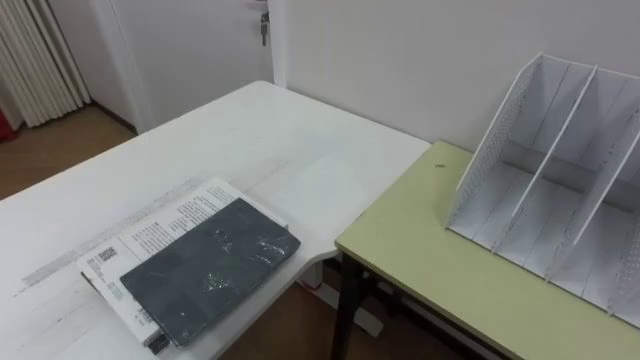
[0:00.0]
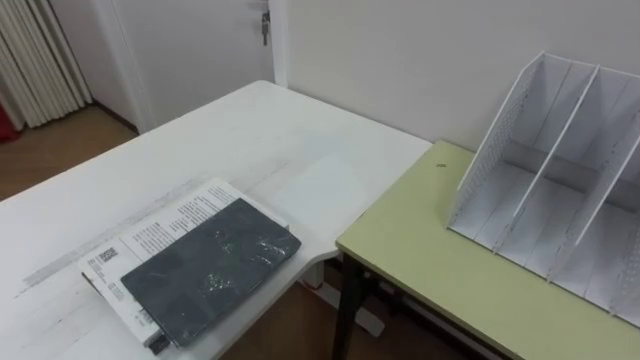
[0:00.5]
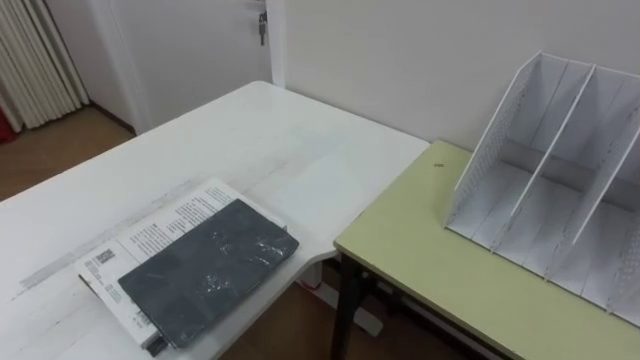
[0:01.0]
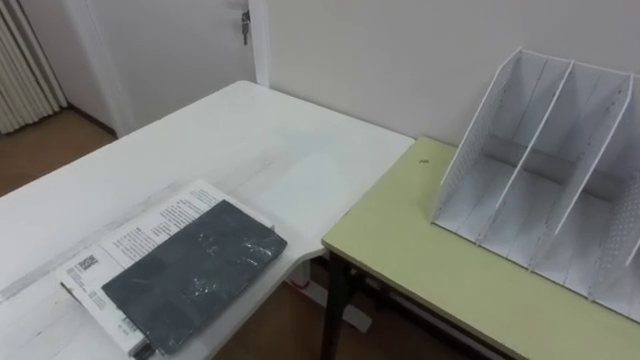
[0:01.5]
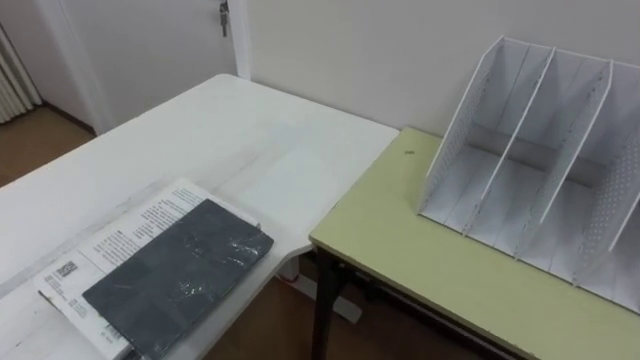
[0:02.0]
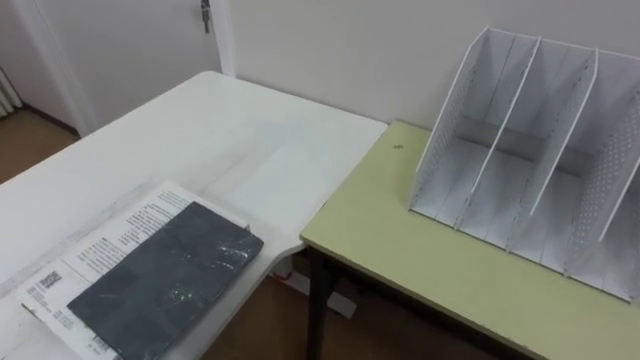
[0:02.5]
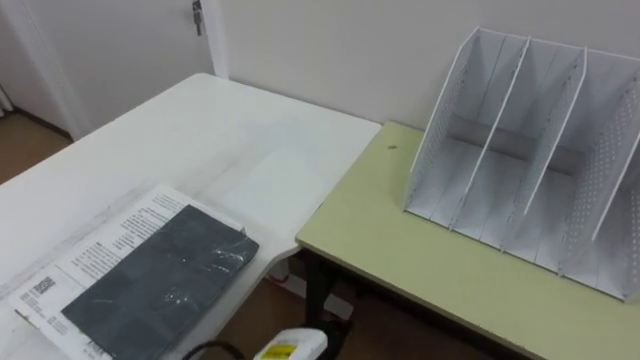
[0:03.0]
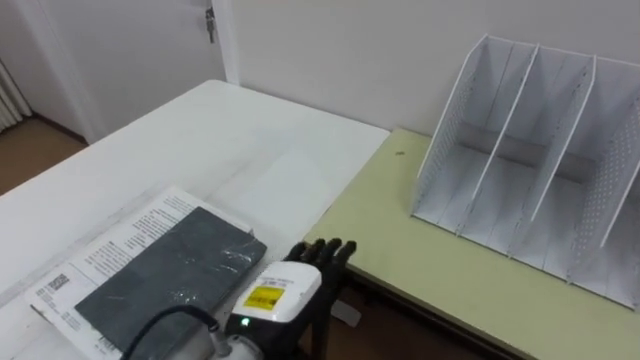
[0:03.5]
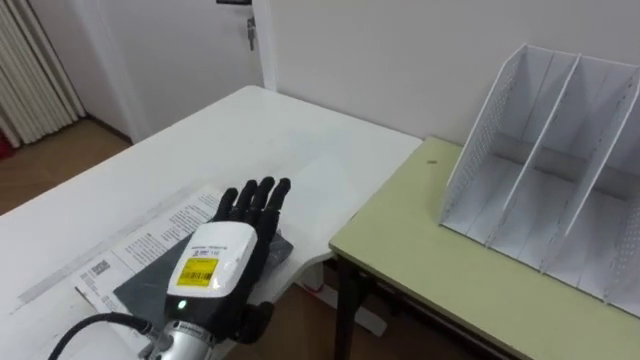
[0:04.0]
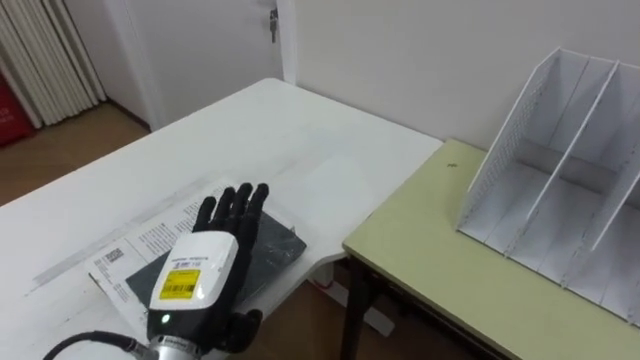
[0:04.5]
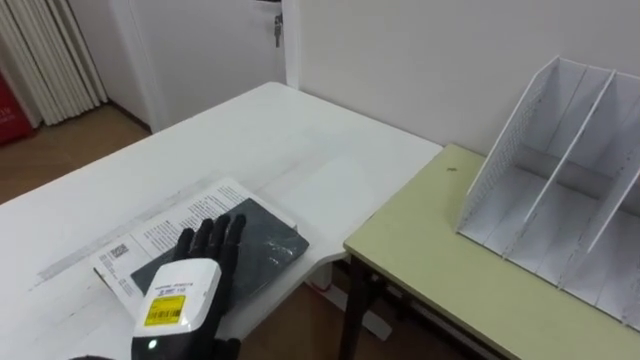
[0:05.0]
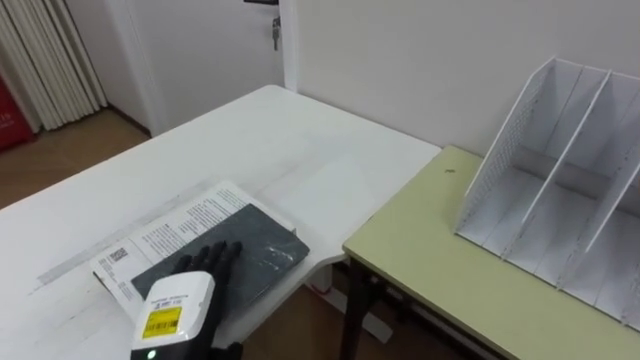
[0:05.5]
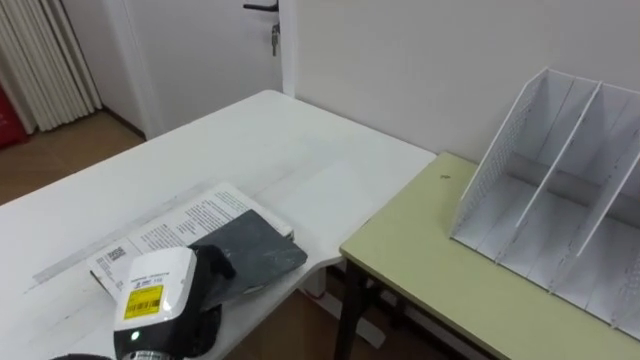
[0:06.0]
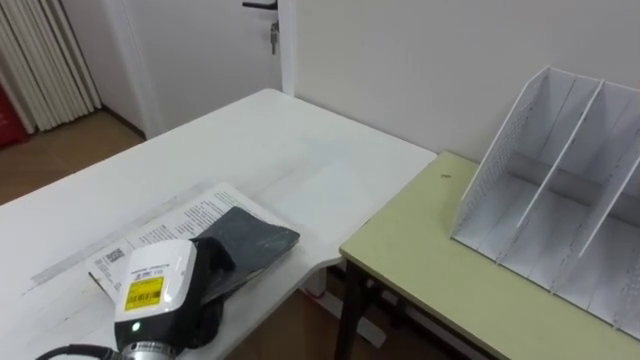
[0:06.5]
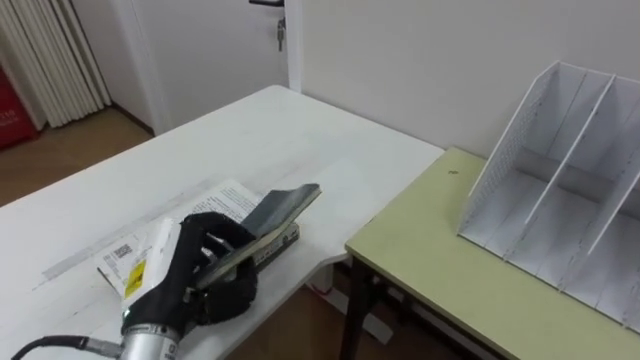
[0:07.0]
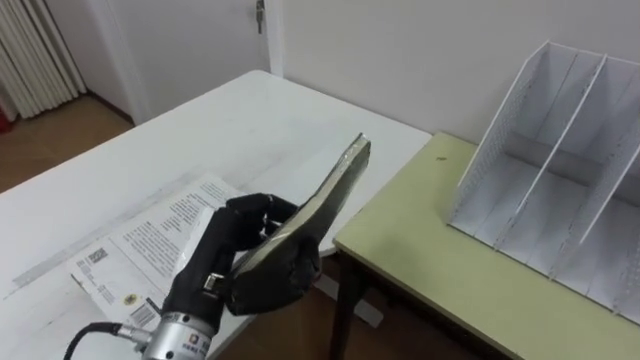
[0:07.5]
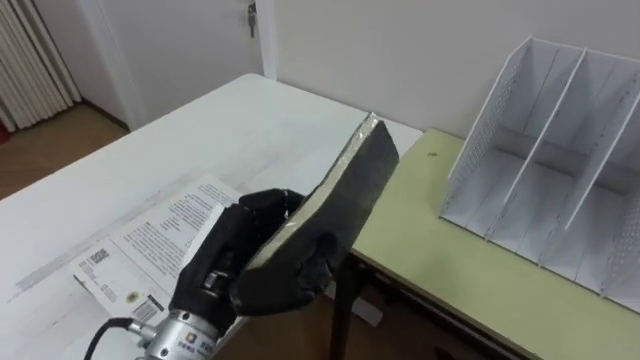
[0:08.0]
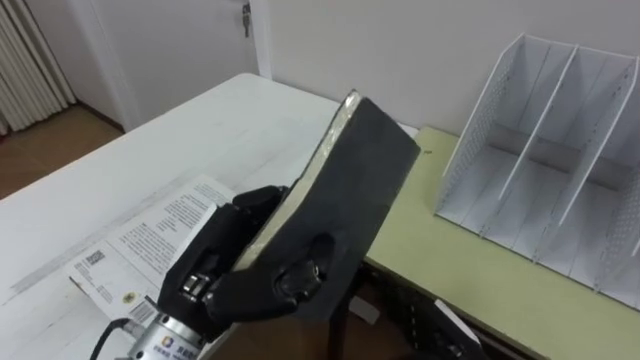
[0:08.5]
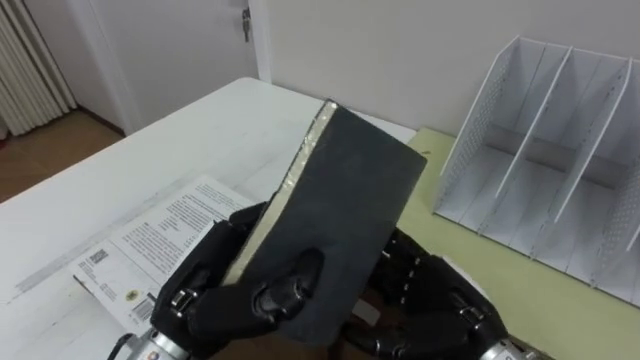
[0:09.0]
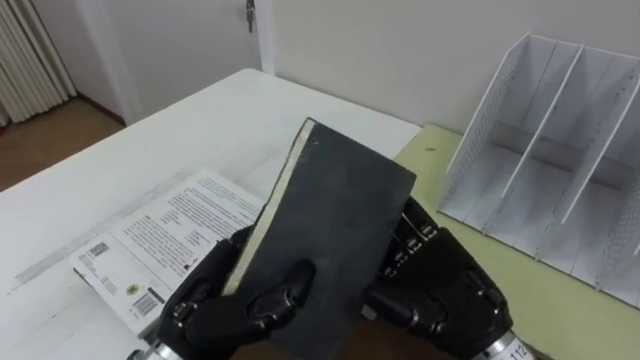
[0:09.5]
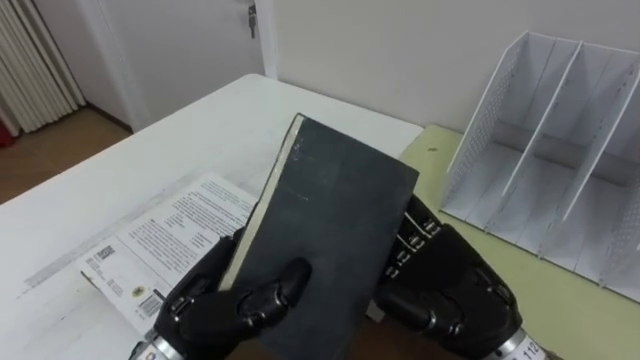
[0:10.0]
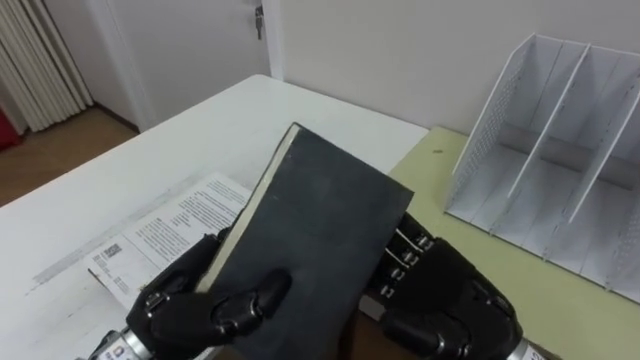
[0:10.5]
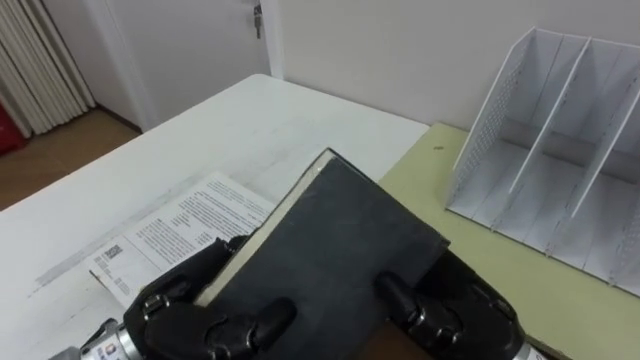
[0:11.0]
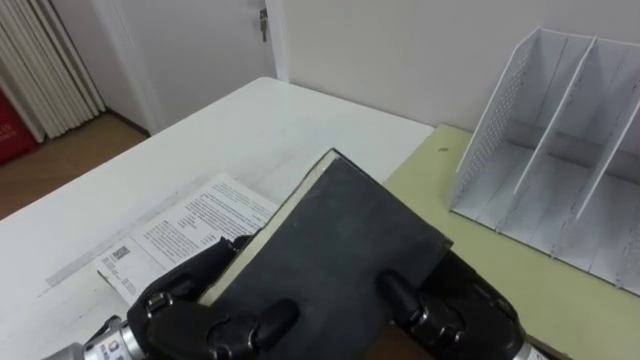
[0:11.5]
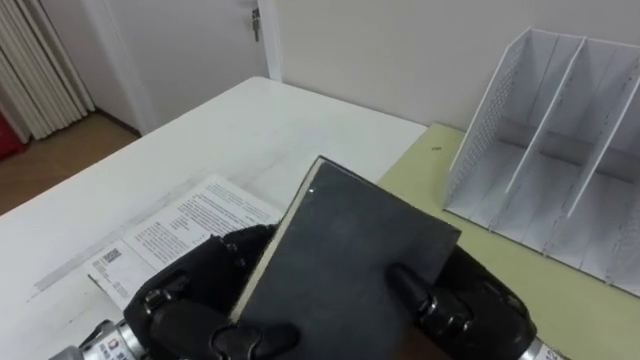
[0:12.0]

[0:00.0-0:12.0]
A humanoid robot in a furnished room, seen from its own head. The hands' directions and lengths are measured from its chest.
Task of the whole recording: Put the books on the table onto the bookshelf.
0:04.0 to 0:06.0: The left hand travels to the left by about 5 cm, and closes up.
0:06.0 to 0:08.0: The left hand shifts about 10 cm to the right and upward.
0:10.0 to 0:12.0: The right hand closes.

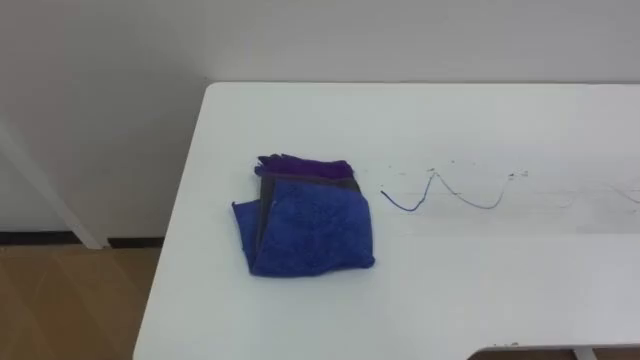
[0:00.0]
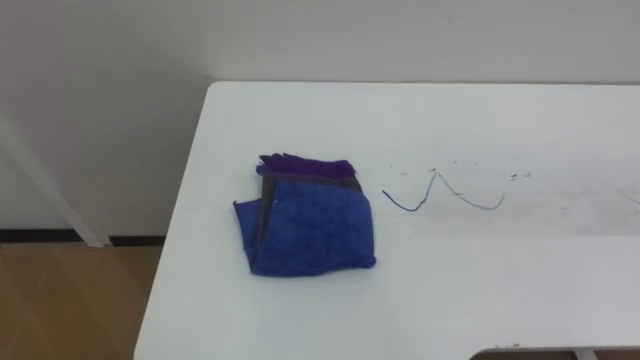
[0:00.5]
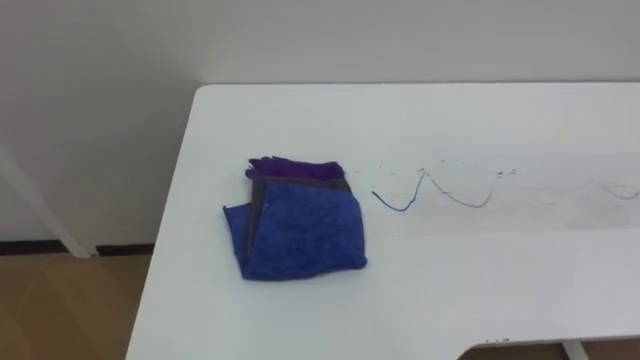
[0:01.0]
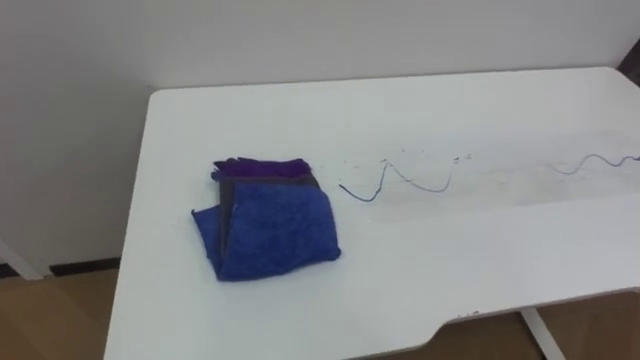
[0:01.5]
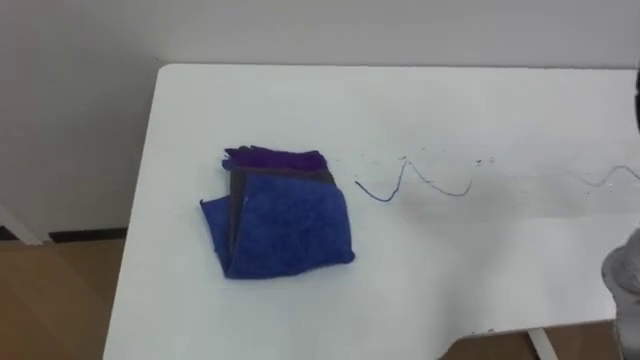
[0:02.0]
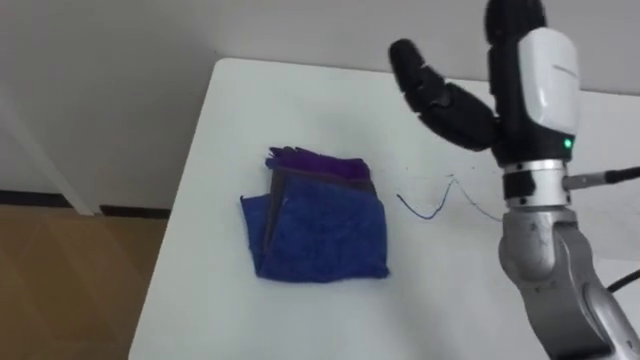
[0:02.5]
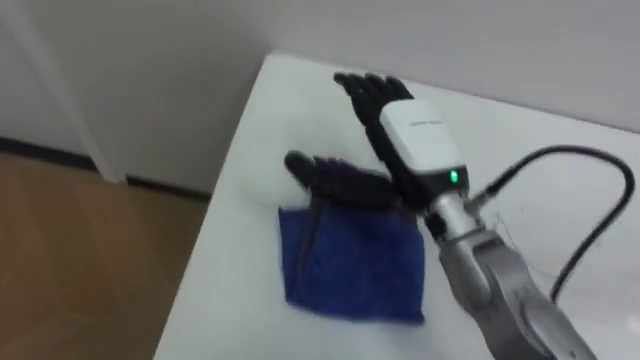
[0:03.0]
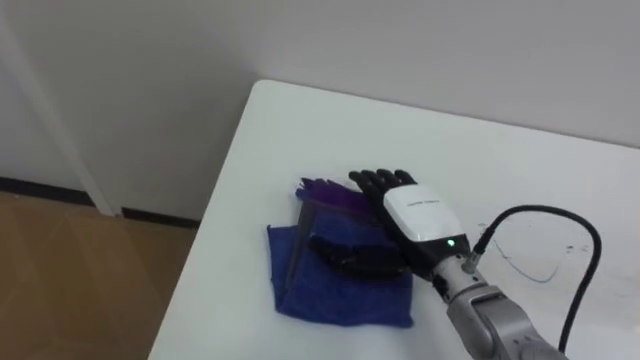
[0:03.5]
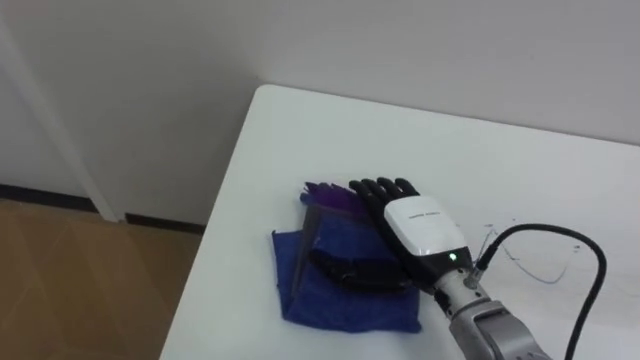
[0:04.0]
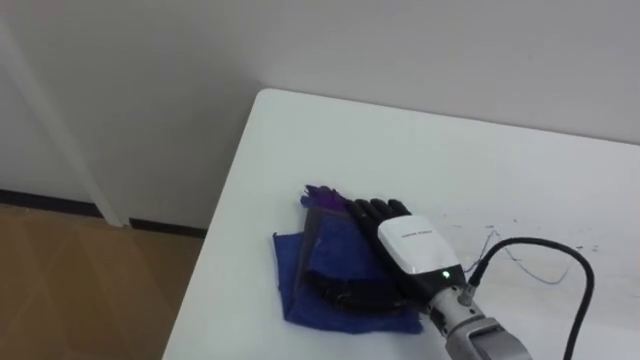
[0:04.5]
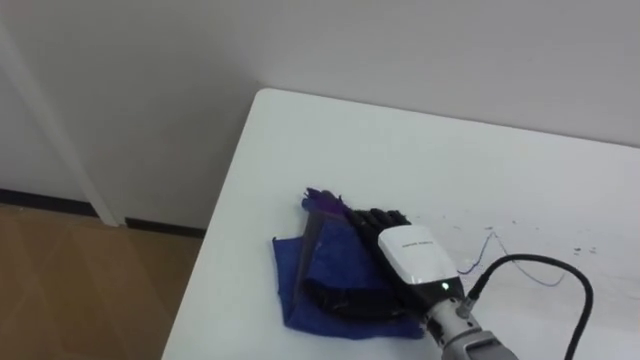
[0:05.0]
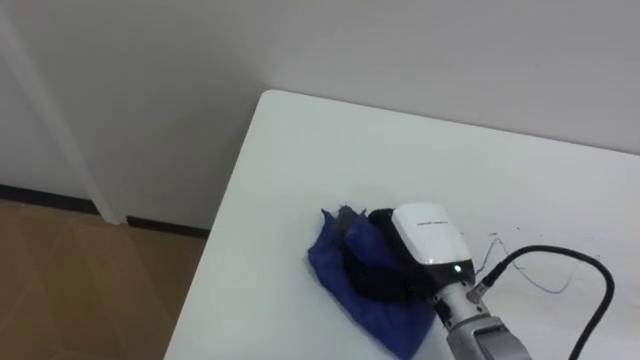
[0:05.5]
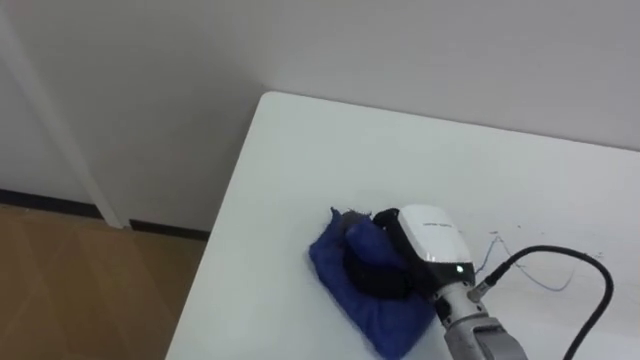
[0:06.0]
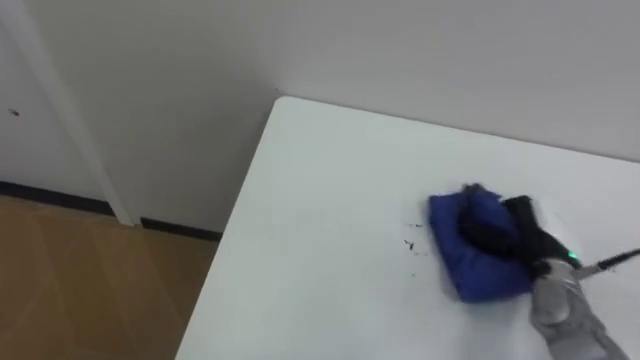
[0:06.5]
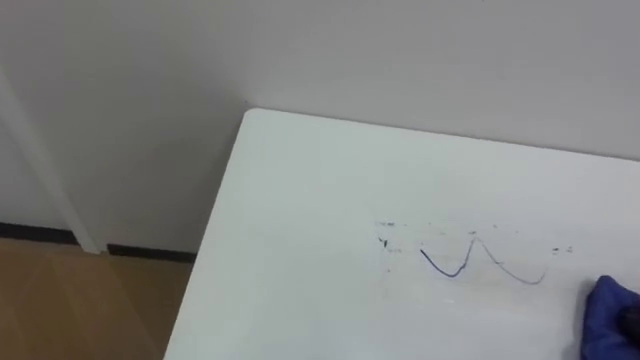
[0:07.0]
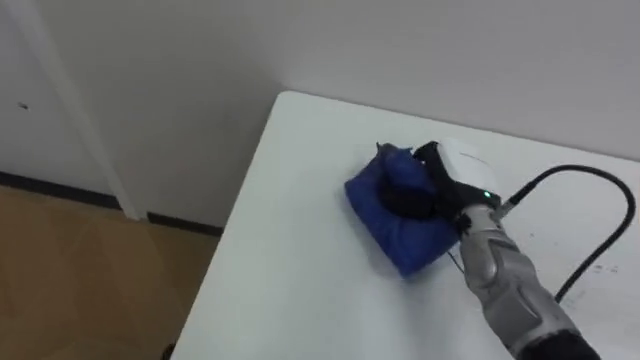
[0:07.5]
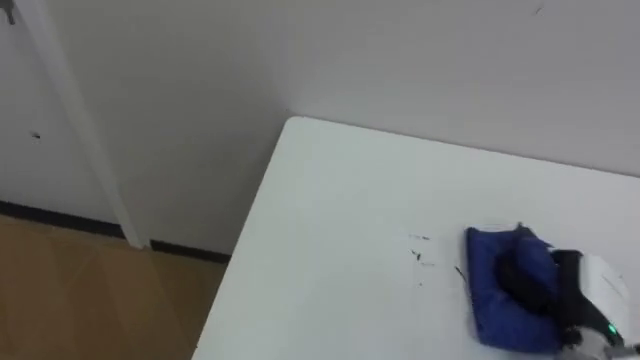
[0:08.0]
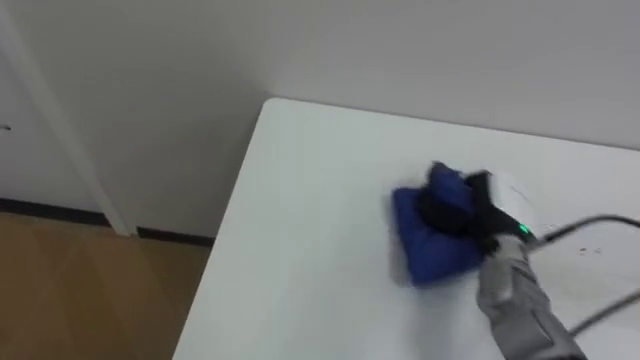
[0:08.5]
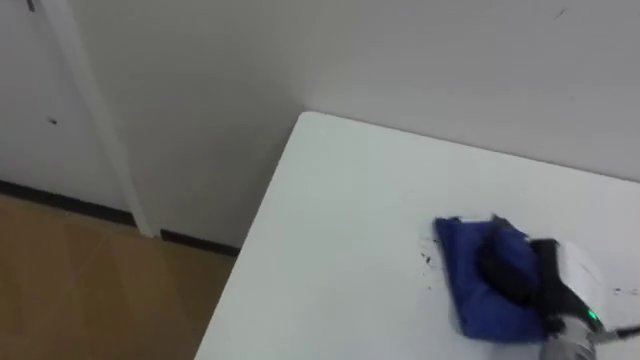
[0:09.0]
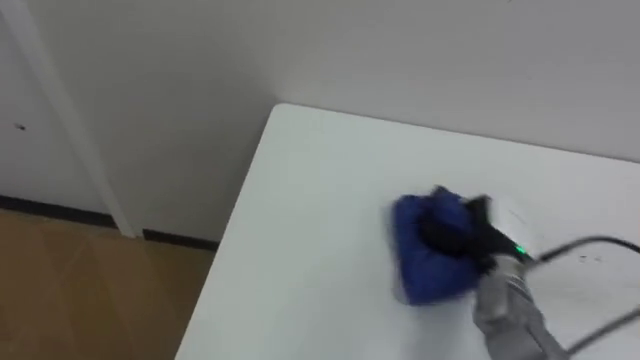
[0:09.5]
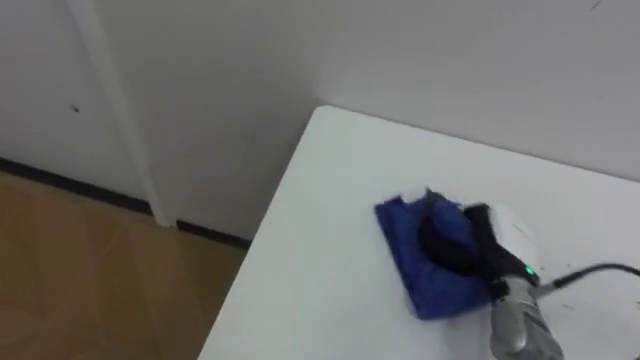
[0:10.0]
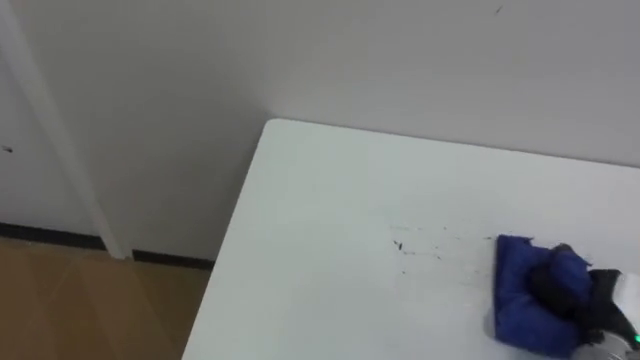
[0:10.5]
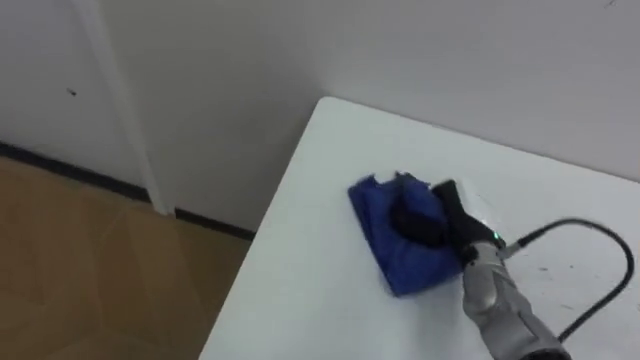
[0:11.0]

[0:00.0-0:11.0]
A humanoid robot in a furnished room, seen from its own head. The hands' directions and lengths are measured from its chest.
Task of the whole recording: Wipe the blue pen marks off the table with the rag.
0:03.5 to 0:05.5: The right hand closes its fingers.
0:07.5 to 0:09.0: The right hand moves left and right over approximately 15 cm, changing direction 2 times.
0:09.0 to 0:11.0: The right hand swings left and right, some 15 cm each way, with 2 reversals.
